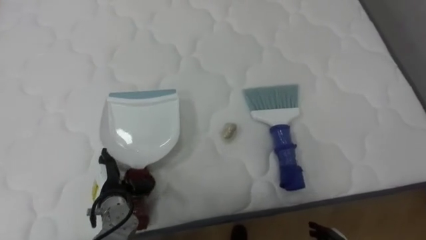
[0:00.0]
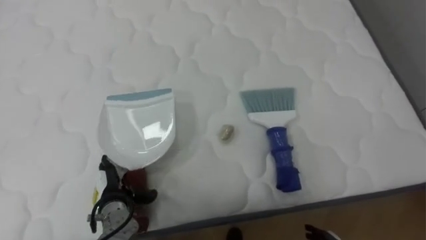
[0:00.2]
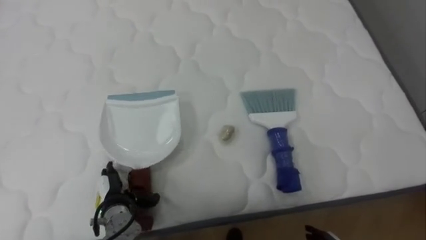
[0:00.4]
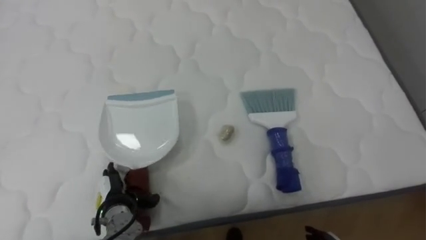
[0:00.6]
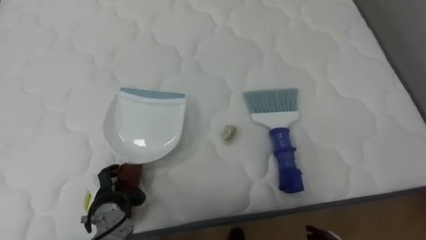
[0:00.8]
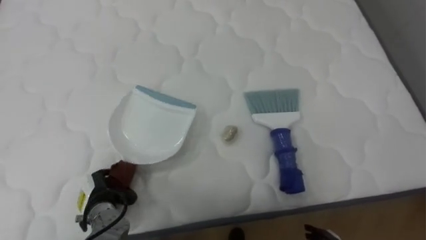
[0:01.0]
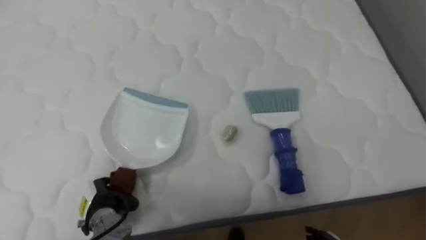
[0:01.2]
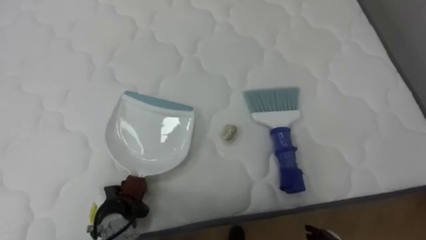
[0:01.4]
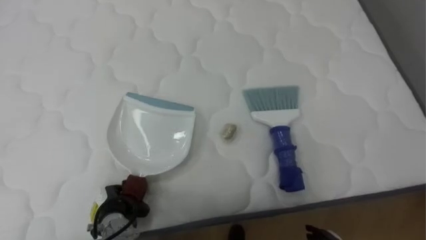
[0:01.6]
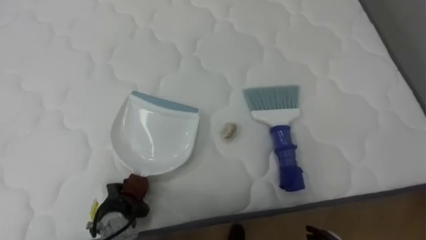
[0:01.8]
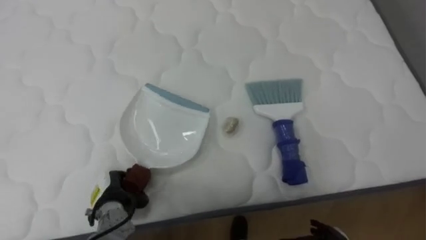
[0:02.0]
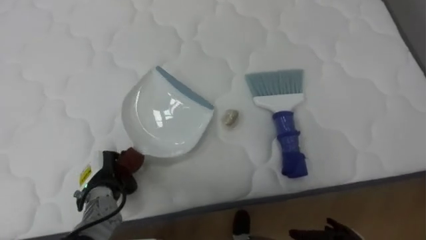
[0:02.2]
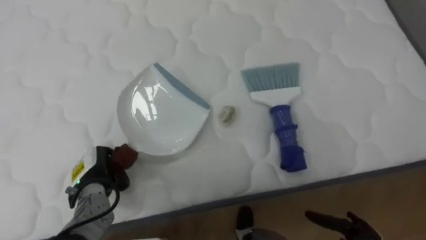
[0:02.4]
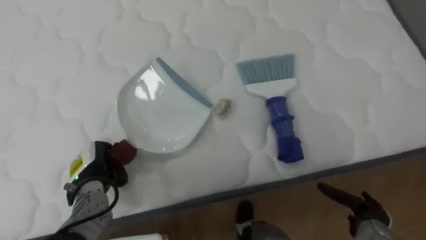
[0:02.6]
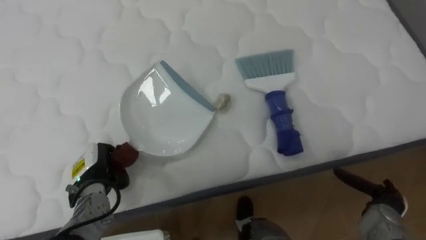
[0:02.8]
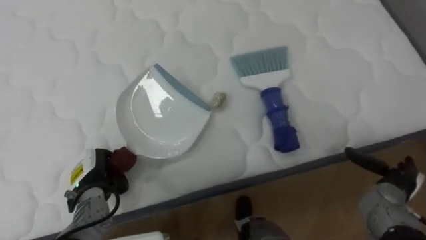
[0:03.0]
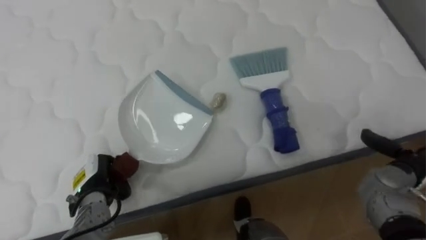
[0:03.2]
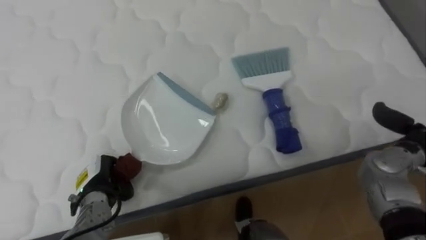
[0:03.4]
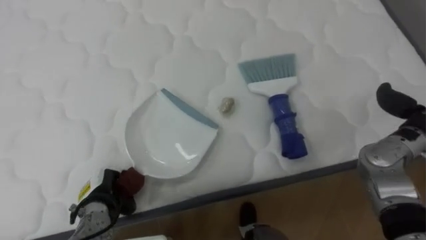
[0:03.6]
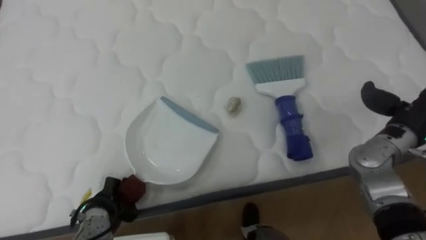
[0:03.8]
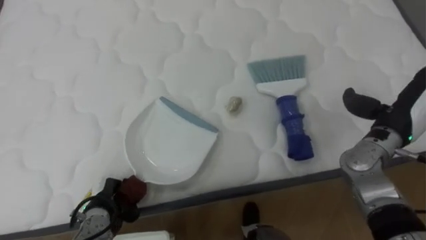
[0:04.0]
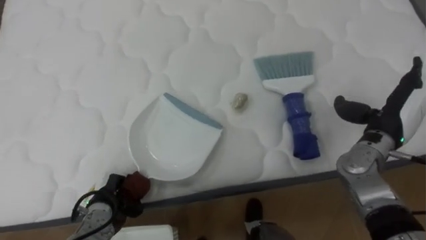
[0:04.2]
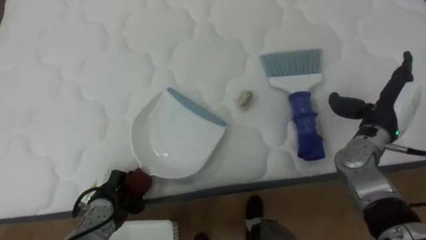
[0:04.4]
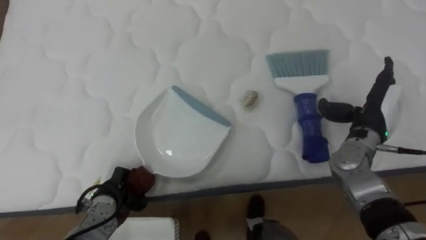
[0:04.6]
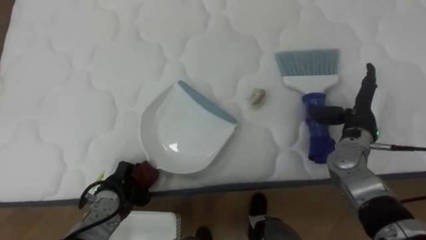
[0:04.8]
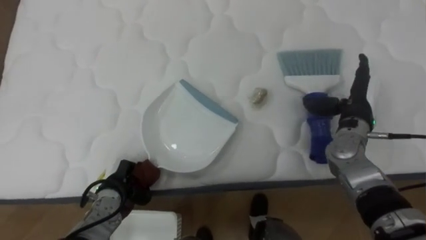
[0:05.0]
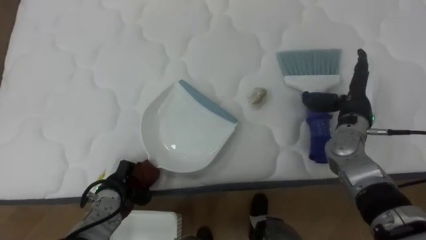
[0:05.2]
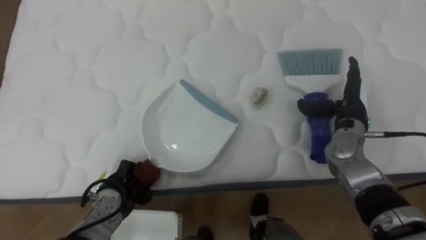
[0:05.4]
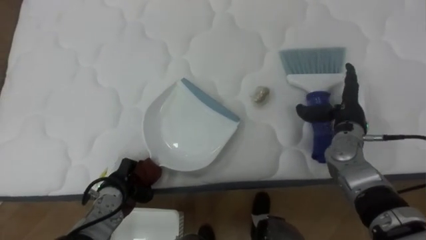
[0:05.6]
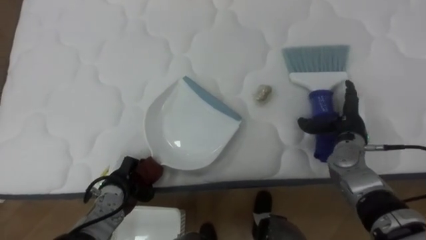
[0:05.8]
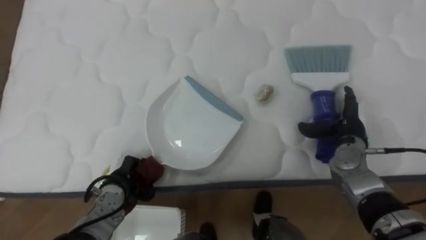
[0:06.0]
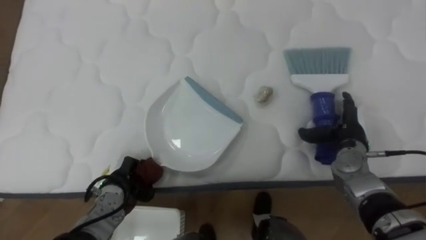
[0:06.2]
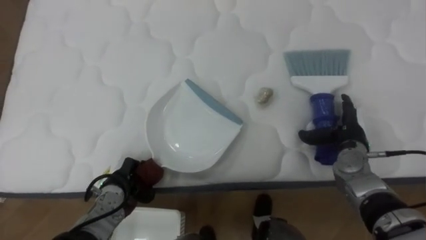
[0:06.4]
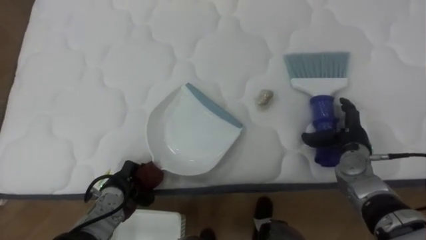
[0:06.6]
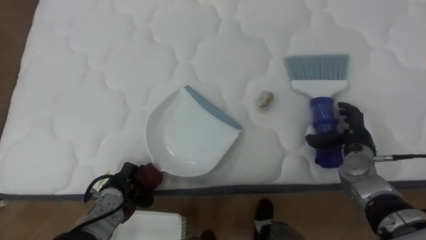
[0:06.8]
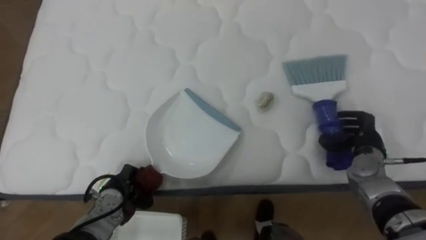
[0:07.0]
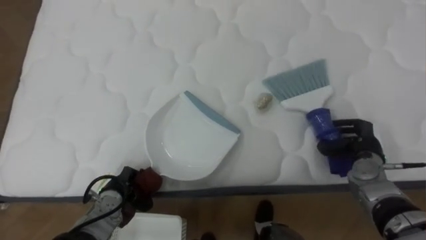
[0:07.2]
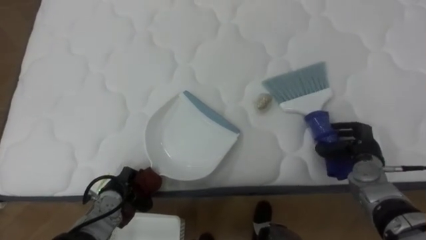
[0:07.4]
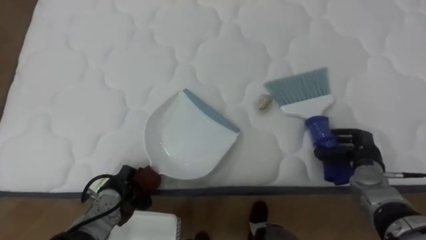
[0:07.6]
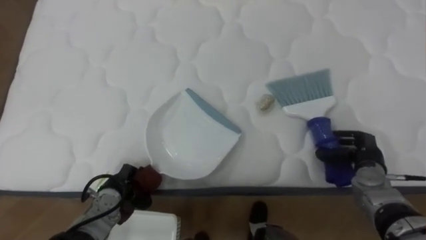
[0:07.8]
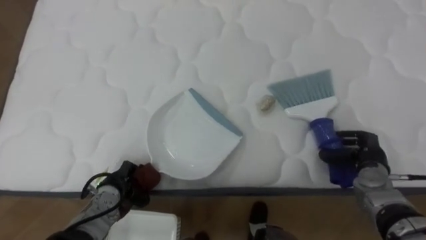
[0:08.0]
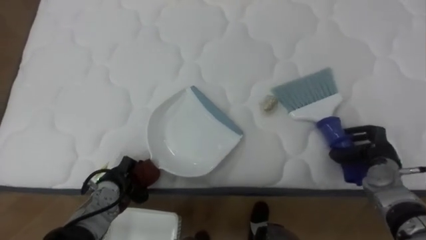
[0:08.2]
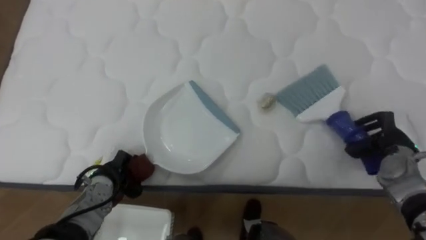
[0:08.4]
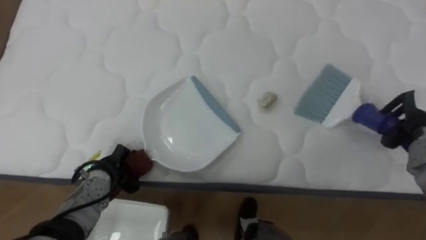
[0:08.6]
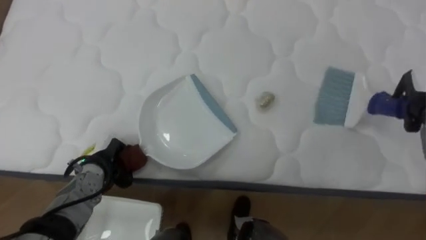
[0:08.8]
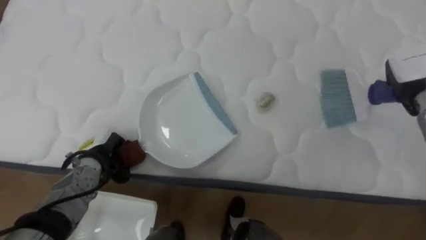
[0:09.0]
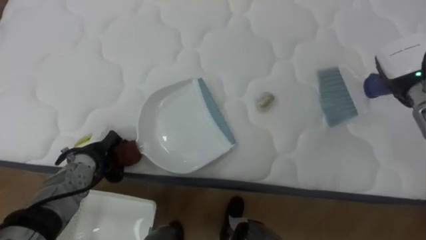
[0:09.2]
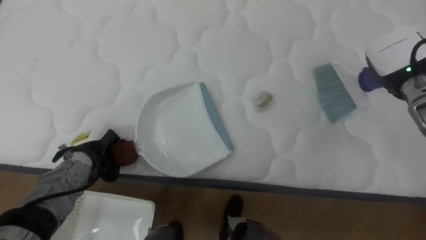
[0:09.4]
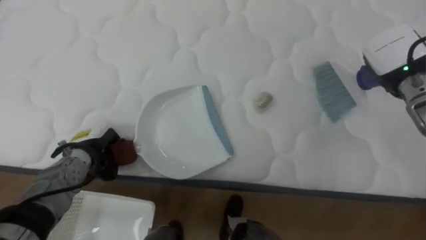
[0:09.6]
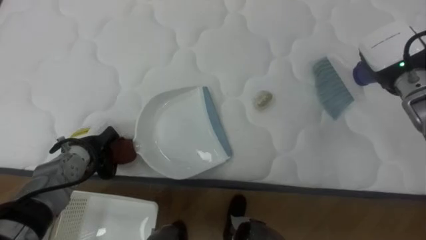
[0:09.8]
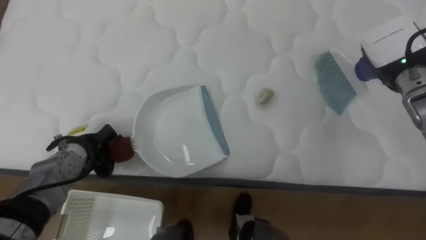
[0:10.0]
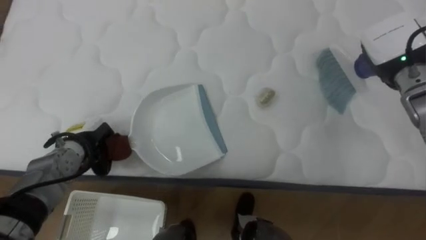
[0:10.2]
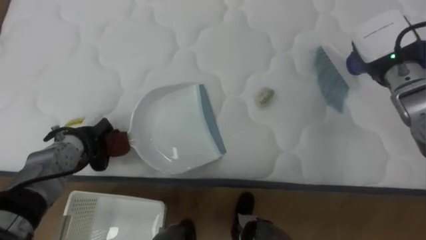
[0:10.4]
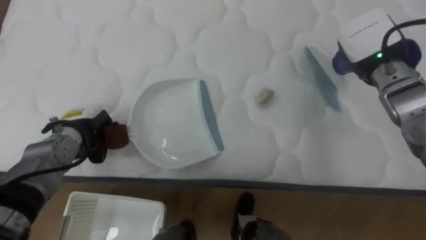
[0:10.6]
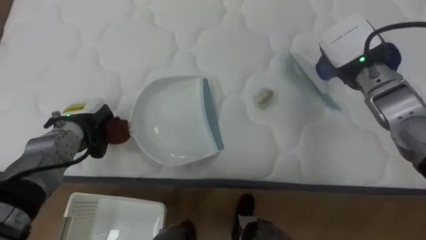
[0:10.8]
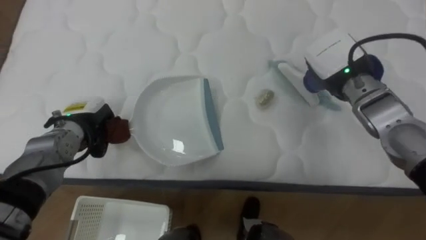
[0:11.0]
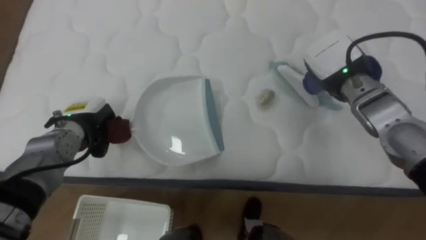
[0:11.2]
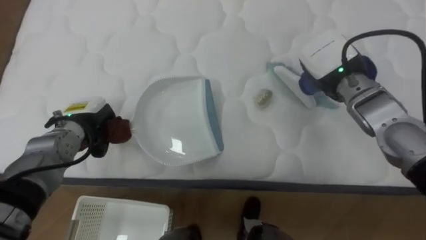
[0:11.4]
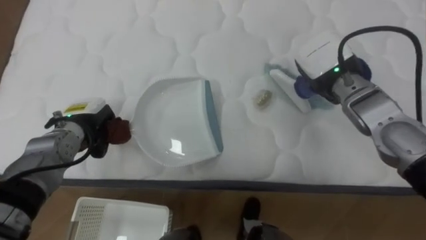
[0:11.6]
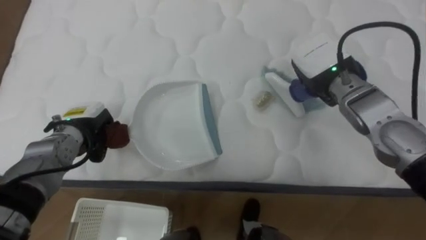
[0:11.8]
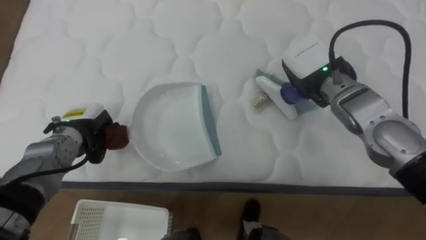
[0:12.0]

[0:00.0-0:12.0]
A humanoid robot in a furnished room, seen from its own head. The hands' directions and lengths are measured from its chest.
Task of the whole recording: Pick up the brush on your right and the dustpan on your left. Use the brush to sweep the crumpled paper on the bed into the dustpan, then turn left and empty it into the basket.
0:00.0 to 0:01.6: The left hand changes place by roughly 5 cm, and closes.
0:01.6 to 0:03.0: The left hand moves upward and forward, some 10 cm.
0:03.0 to 0:04.4: The left hand ends up roughly 5 cm from where it was. Meanwhile the right hand moves upward and forward, roughly 15 cm.
0:04.4 to 0:06.0: The right hand goes about 5 cm downward.
0:06.0 to 0:07.6: The right hand goes about 5 cm downward, and closes.
0:07.6 to 0:09.0: The right hand travels upward and forward by approximately 20 cm. The left hand goes about 10 cm upward and forward.
0:09.0 to 0:10.4: The left hand changes place by approximately 5 cm; the right hand moves to the left, some 10 cm.
0:10.4 to 0:12.0: The right hand shifts approximately 10 cm to the left.

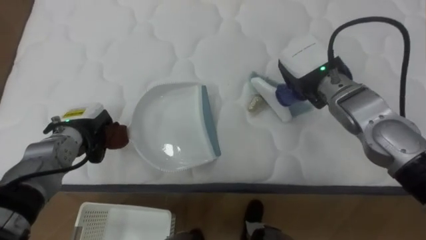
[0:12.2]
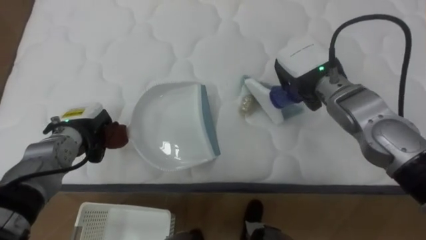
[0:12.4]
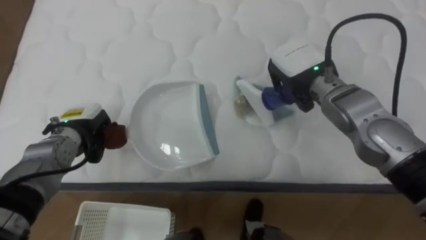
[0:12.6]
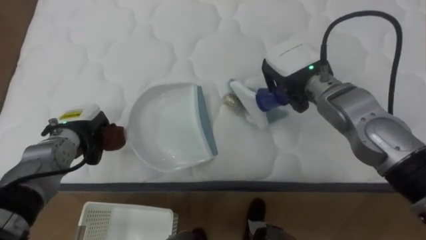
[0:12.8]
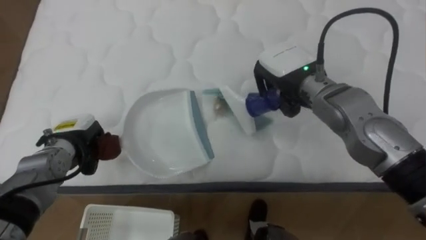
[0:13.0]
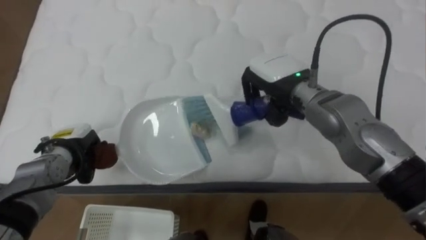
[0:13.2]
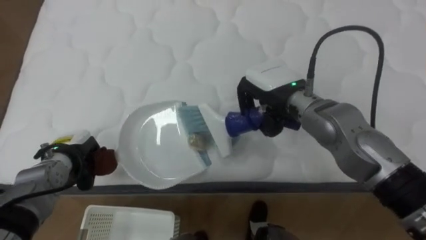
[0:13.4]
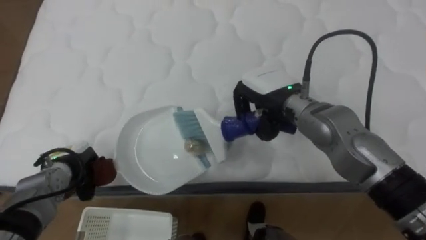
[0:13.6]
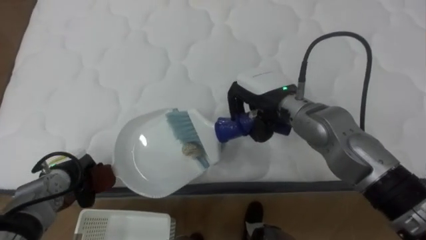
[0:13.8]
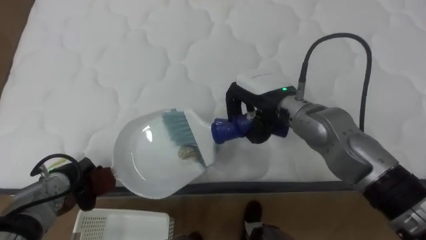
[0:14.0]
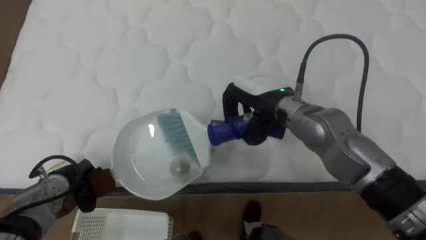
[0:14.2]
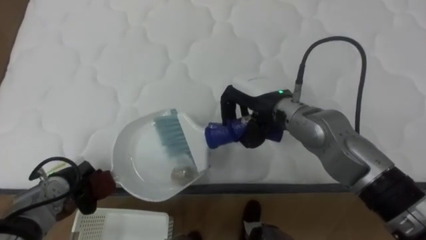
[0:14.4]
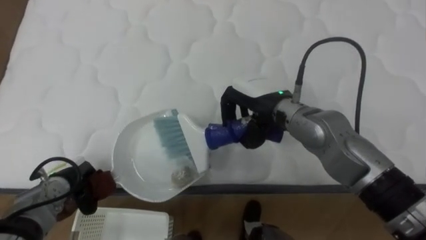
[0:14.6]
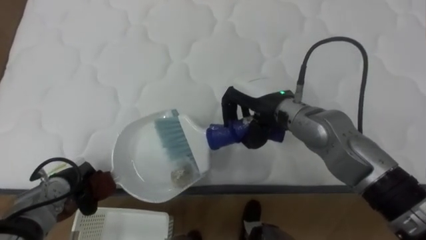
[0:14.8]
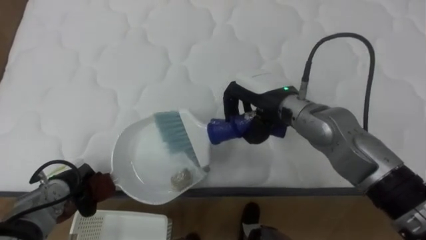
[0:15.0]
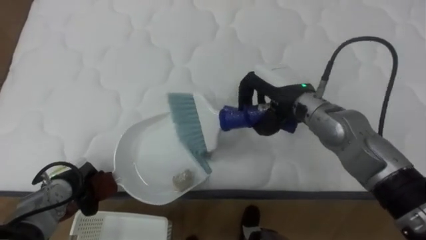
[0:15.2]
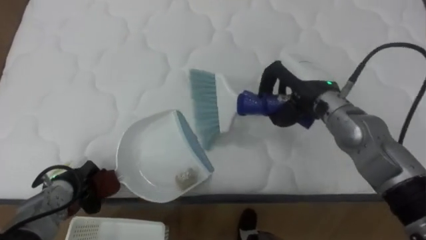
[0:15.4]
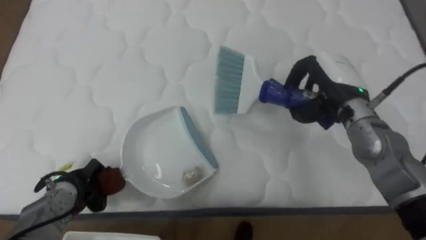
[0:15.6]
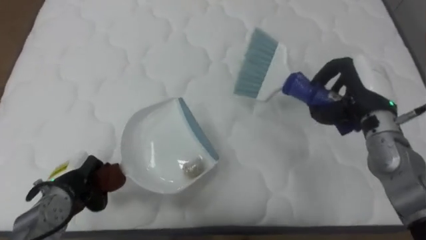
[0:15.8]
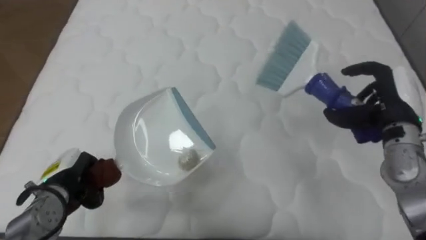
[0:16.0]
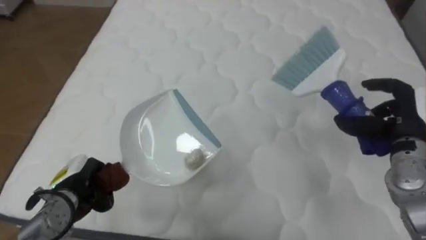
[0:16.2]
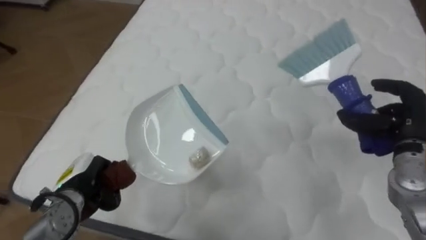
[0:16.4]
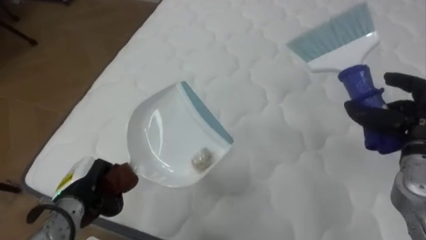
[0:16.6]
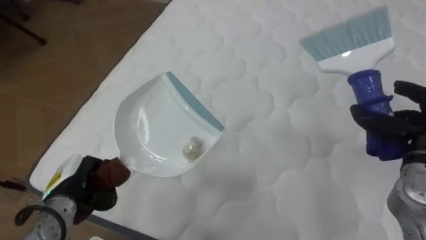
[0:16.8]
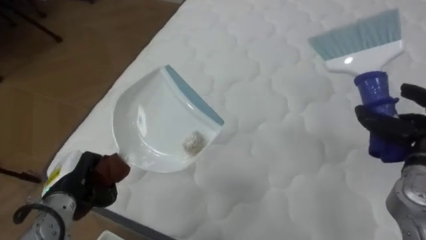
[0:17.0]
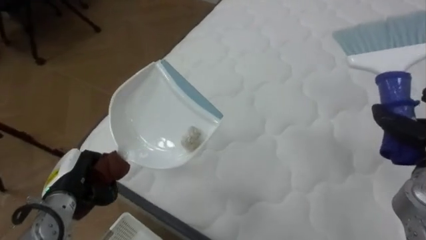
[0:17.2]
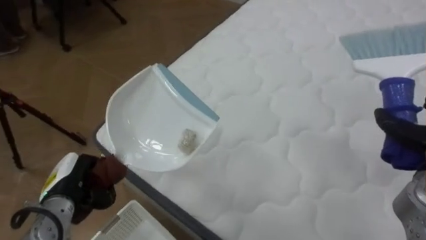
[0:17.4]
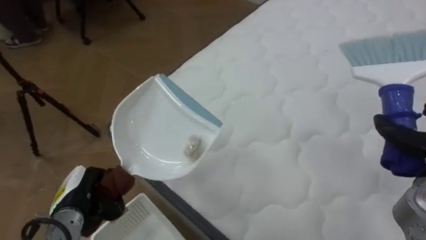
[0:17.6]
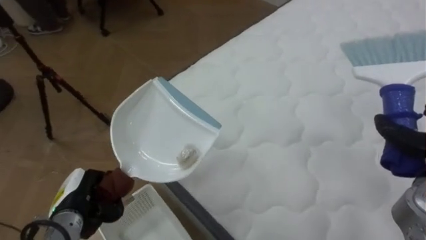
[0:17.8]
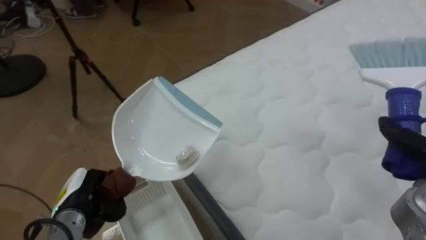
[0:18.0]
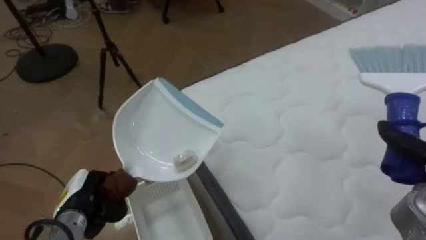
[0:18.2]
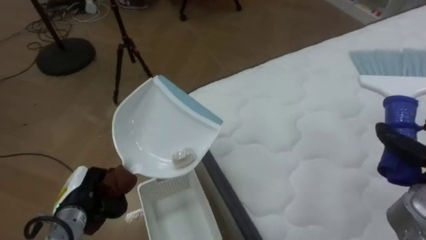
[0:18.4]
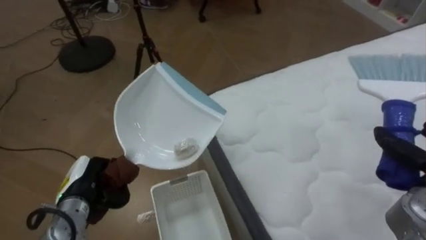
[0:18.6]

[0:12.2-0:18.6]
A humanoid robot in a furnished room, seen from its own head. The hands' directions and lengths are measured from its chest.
Task of the whole recording: Pick up the brush on your right and the dustpan on your left. Use the brush to sweep the crumpled paper on the bed into the dustpan, then turn left and empty it into the basket.
0:12.2 to 0:13.8: The right hand is displaced to the left by some 10 cm; the left hand travels downward and backward by about 10 cm.
0:13.8 to 0:15.4: The right hand heads to the right, covering roughly 5 cm.
0:15.4 to 0:17.0: The robot's body swings roughly 25 degrees to its left. The right hand goes about 25 cm to the right and backward; the left hand shifts about 5 cm upward.
0:17.0 to 0:18.6: The robot rotates roughly 45 degrees to its left.
